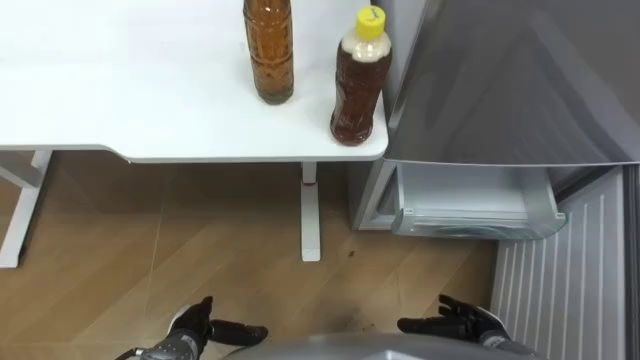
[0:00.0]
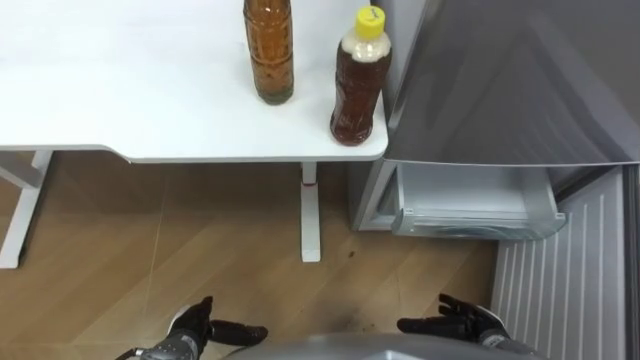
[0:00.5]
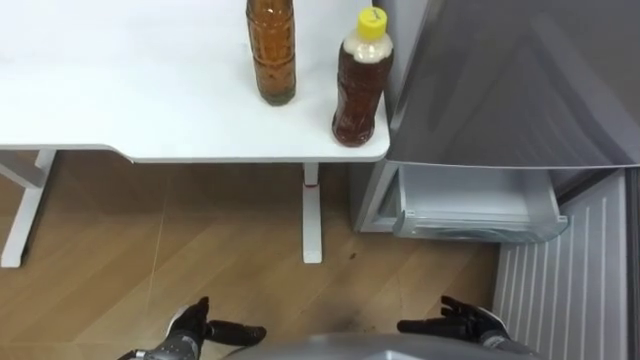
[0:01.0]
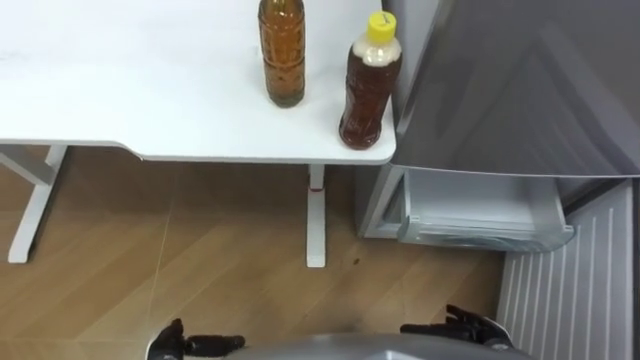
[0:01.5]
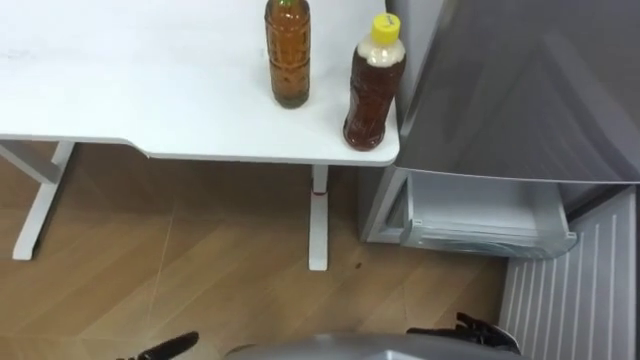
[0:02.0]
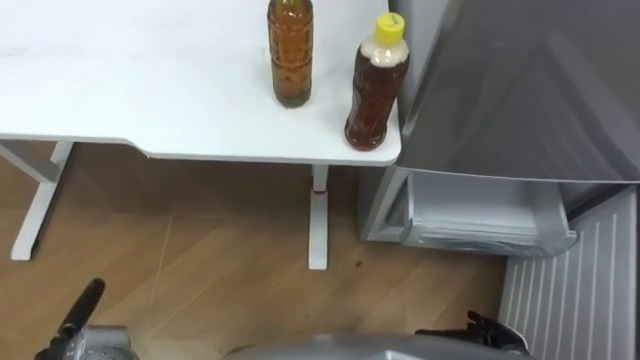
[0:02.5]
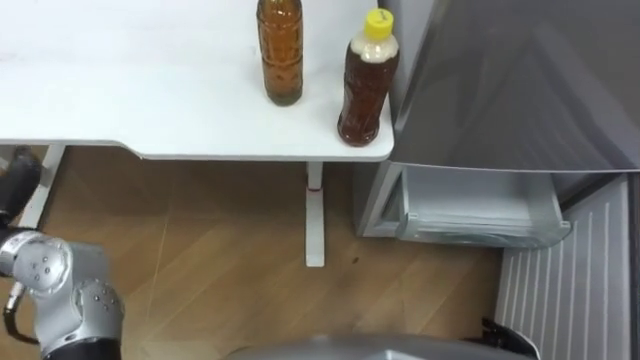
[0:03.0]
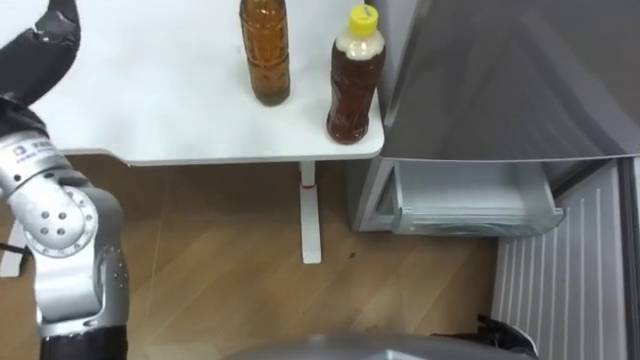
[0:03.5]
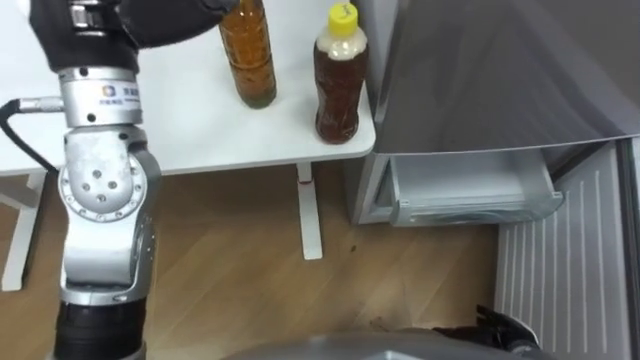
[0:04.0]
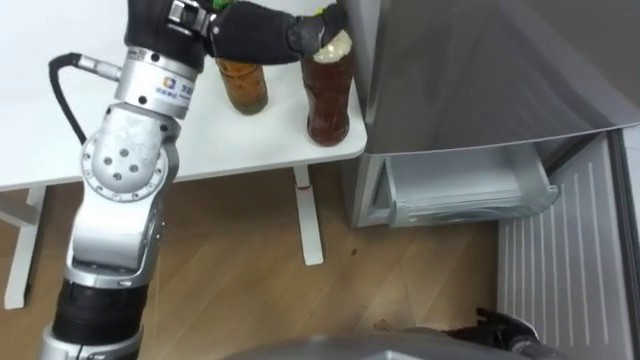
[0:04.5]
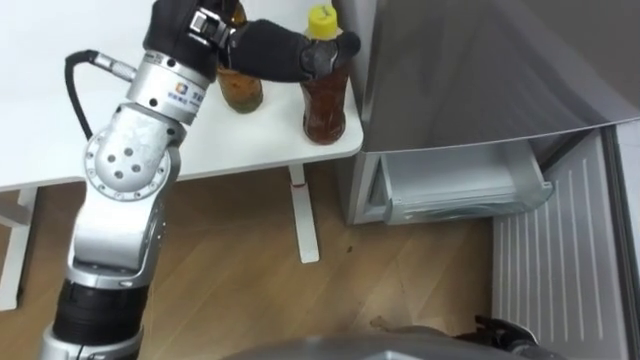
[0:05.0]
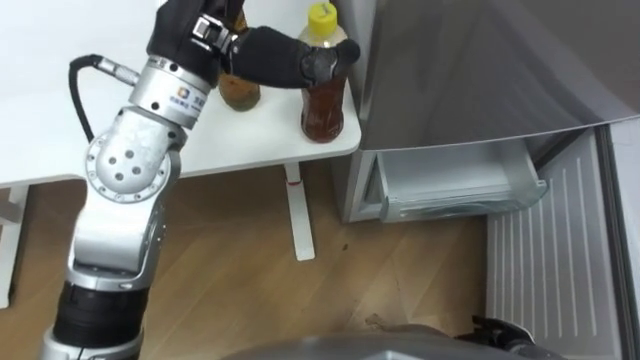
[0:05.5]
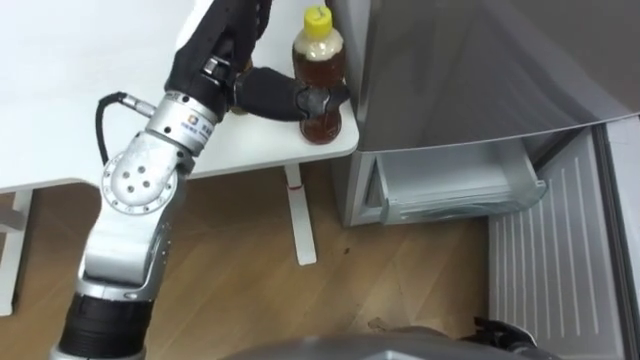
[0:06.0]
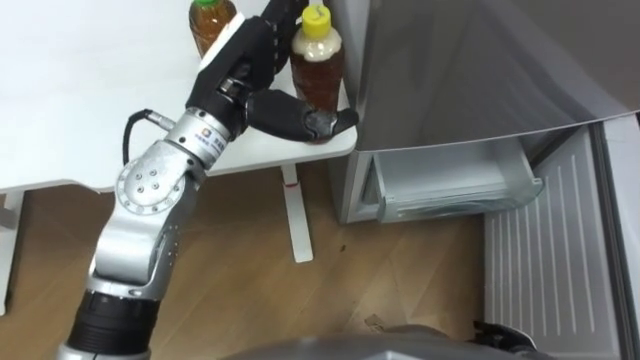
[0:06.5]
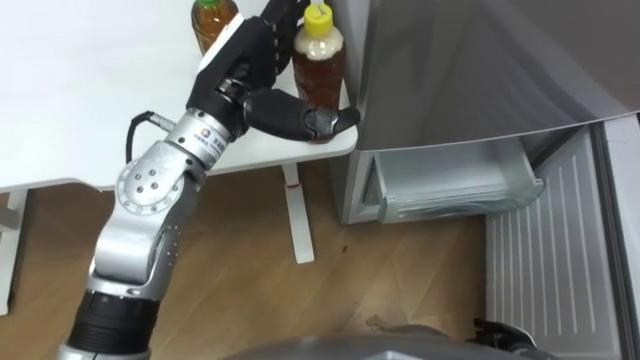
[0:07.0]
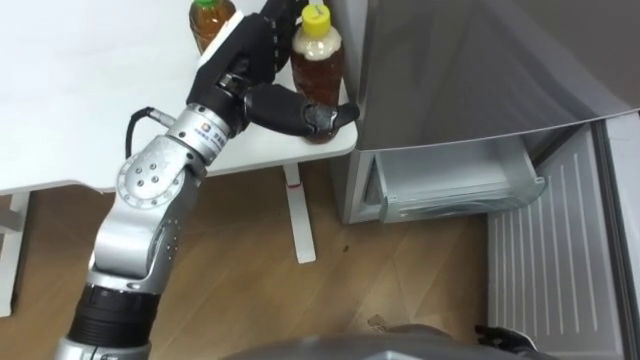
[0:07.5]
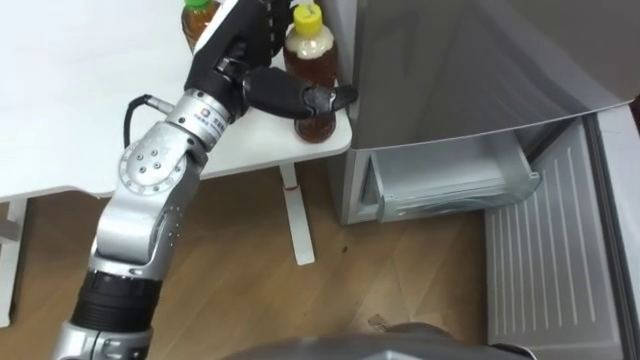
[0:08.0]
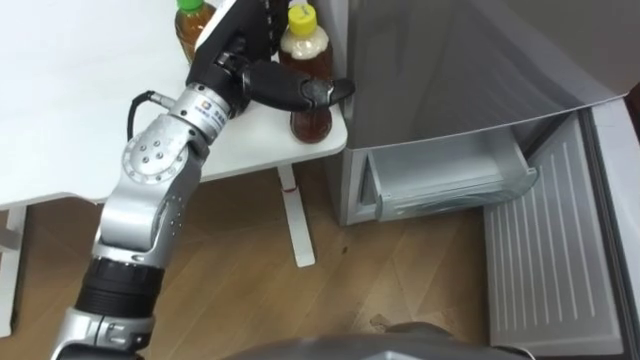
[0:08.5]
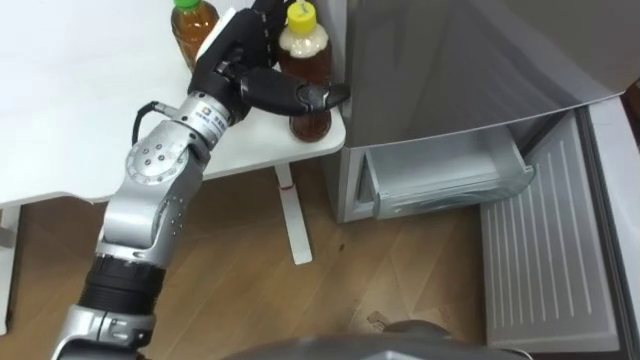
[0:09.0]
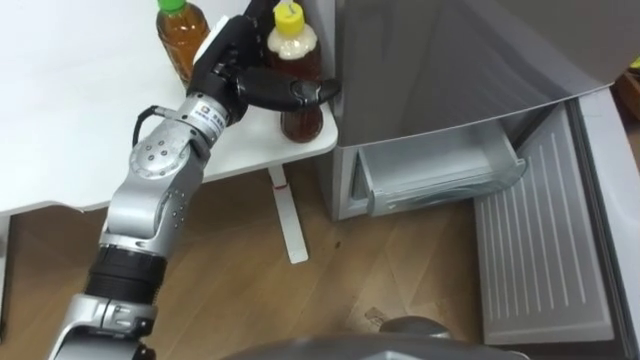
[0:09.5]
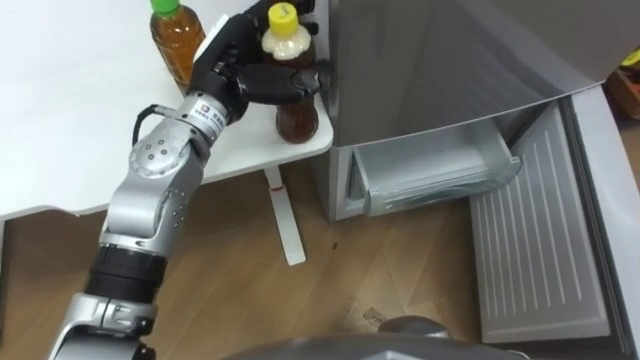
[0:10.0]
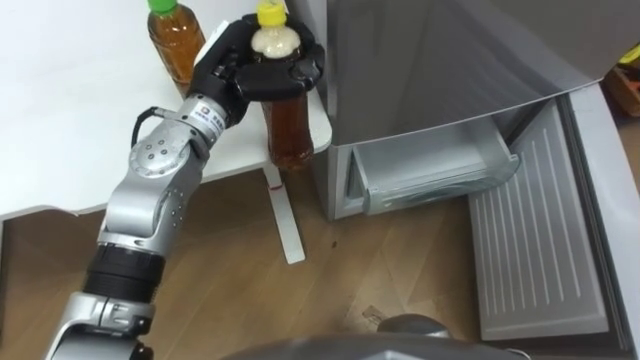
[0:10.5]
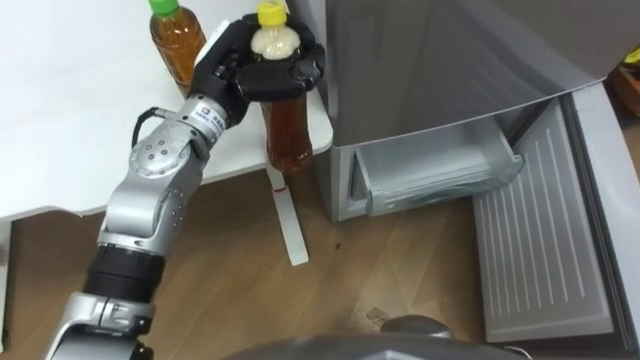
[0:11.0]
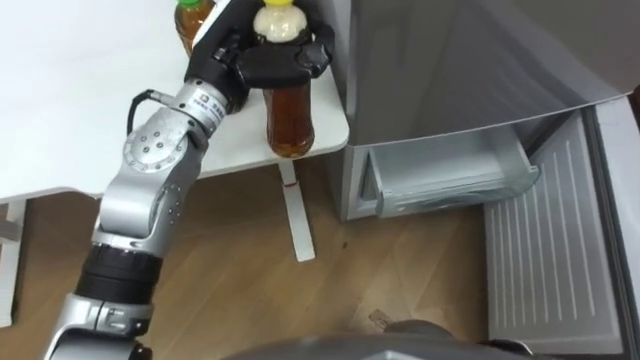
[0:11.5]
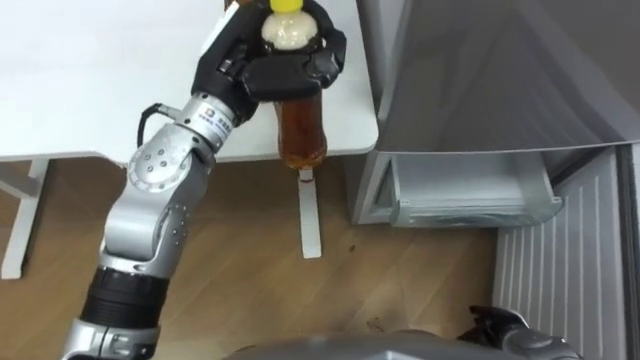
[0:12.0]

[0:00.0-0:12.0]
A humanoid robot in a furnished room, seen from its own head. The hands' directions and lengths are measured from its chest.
Task of the whole recording: Place the drink on the table on the bottom shelf of the refrigerator, then close the drawer and the refrigerator door.
0:08.0 to 0:10.0: The left hand changes place by about 5 cm.
0:10.0 to 0:12.0: The left hand closes.

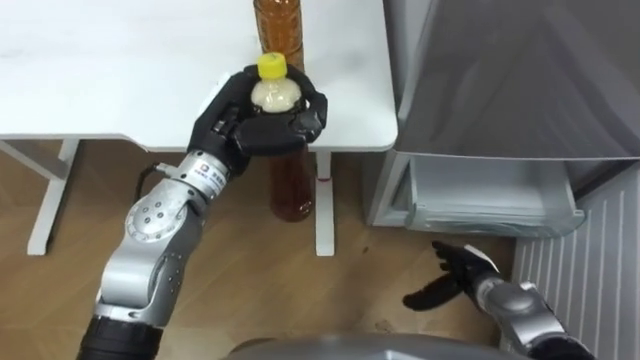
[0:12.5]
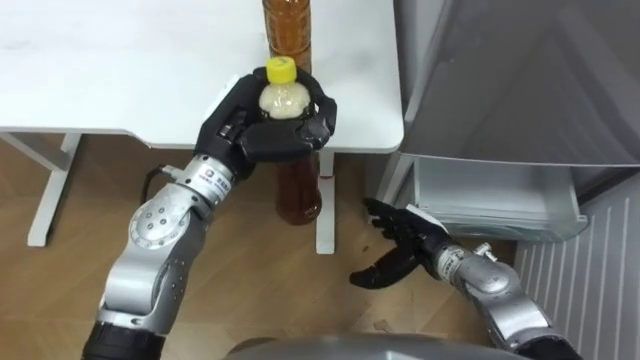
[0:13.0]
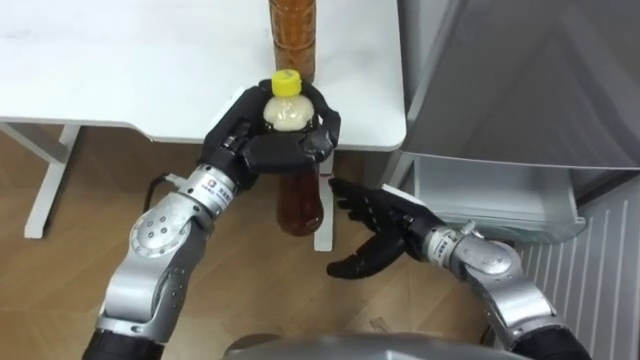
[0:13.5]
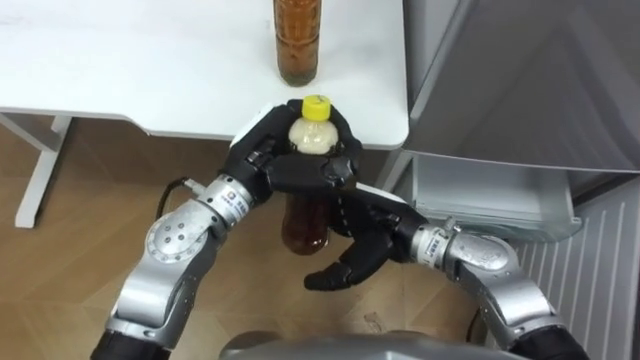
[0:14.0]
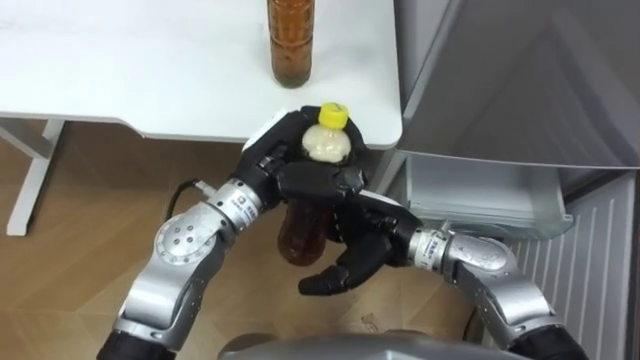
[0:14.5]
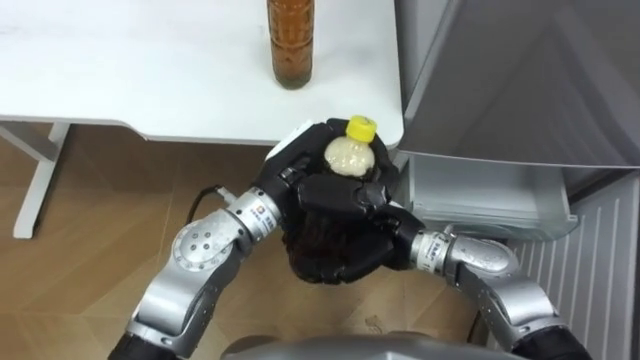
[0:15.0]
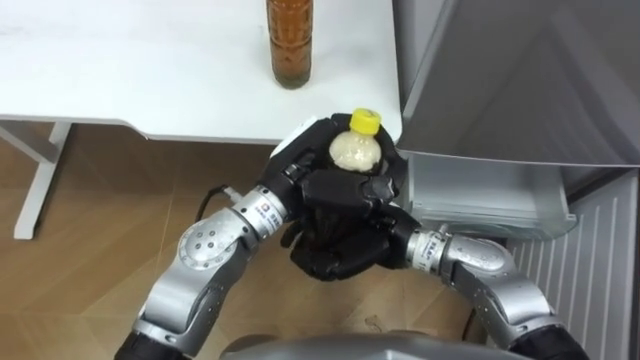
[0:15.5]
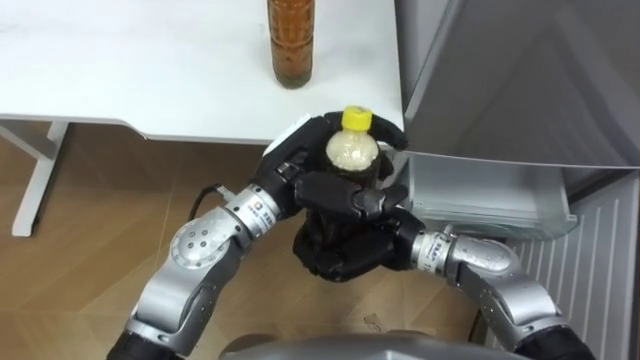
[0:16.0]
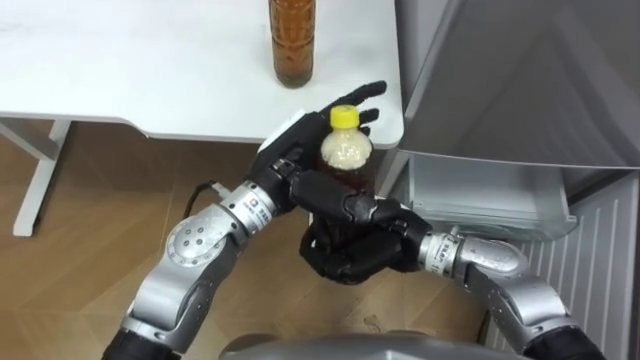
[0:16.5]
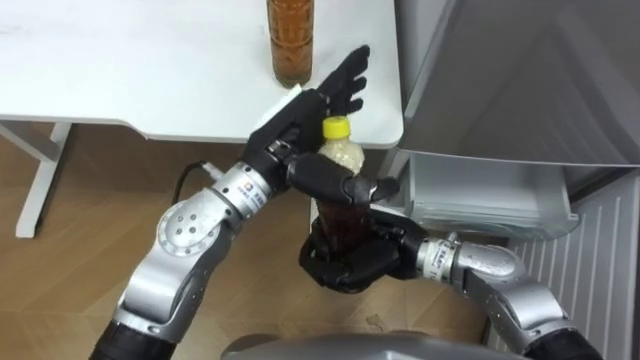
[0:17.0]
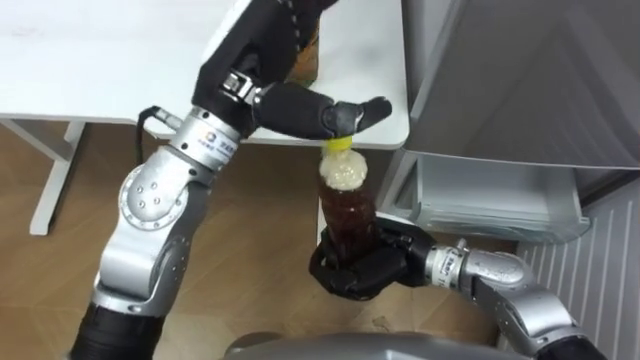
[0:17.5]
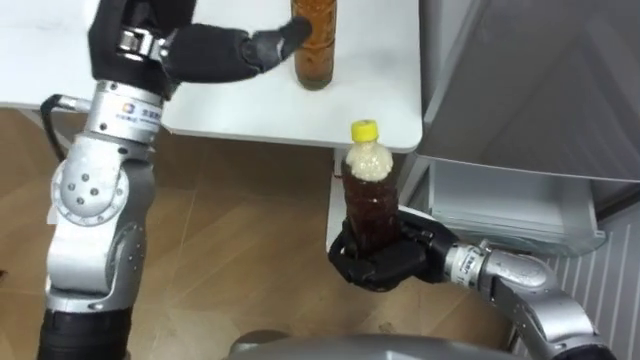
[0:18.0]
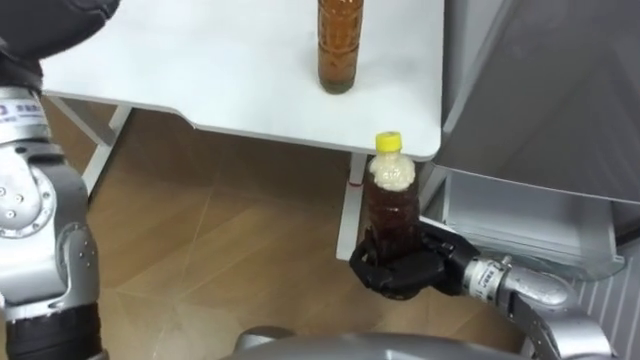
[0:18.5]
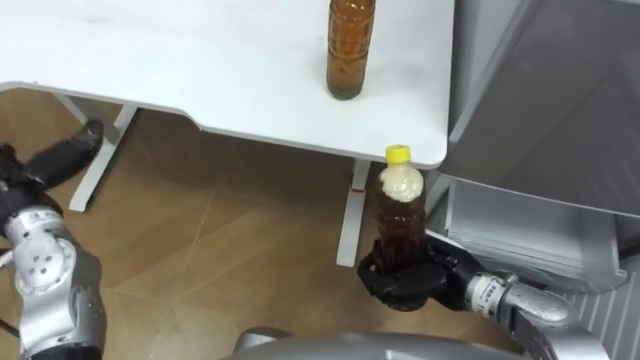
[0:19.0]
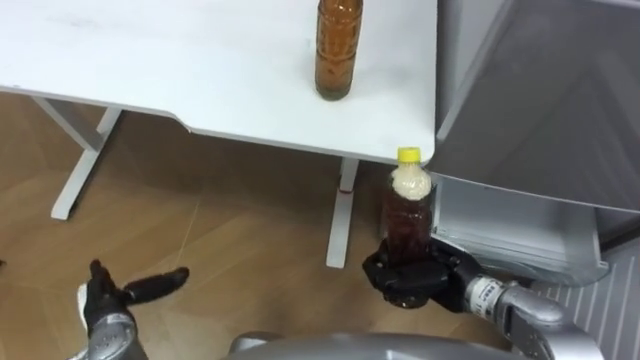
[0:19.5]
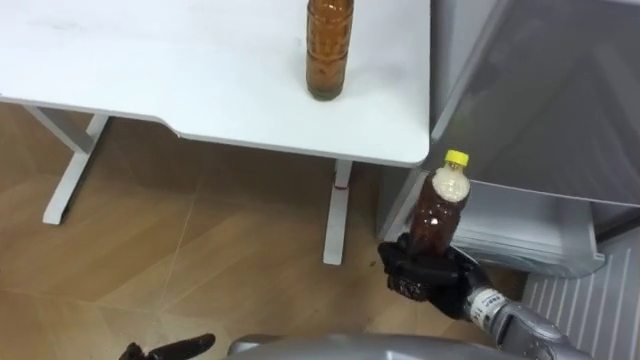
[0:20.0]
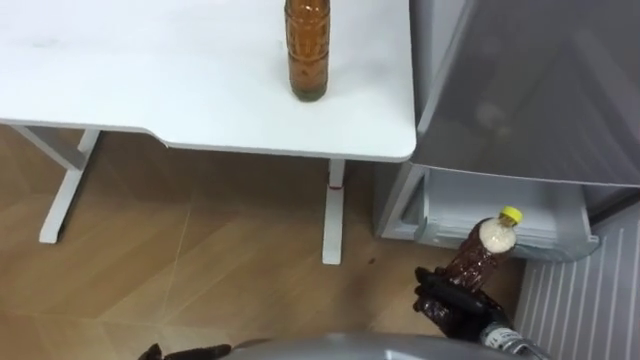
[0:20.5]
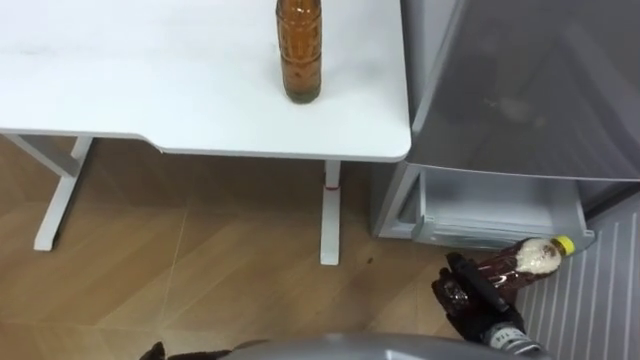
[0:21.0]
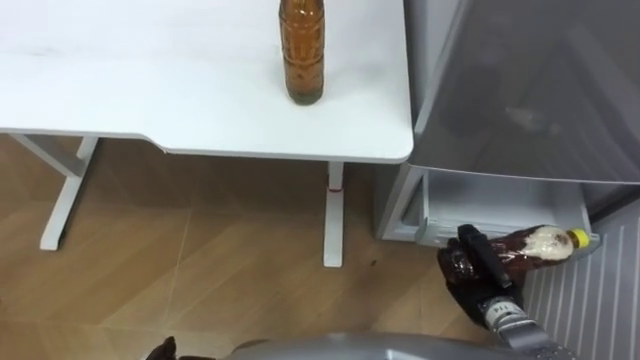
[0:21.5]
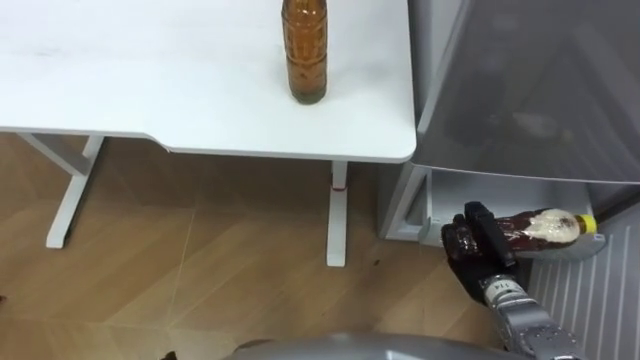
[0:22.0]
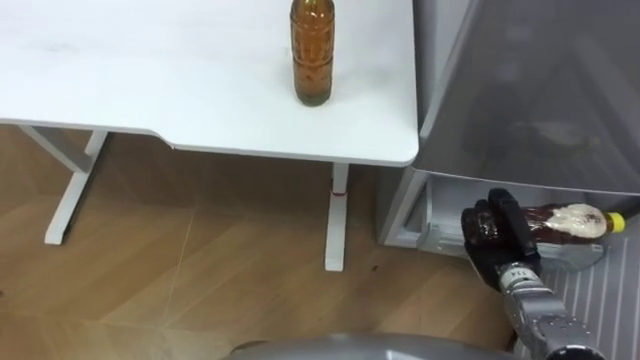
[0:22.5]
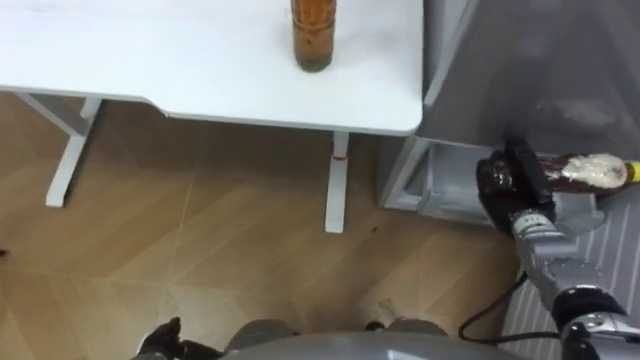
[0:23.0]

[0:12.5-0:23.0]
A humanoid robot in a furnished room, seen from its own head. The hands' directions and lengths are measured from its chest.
Task of the whole recording: Place the drink on the table on the bottom shelf of the refrigerator, then close the drawer and the refrigerator door.
0:12.5 to 0:14.5: The left hand shifts approximately 5 cm to the right; the right hand shifts approximately 20 cm to the left and upward.
0:14.5 to 0:16.5: The right hand closes. The left hand opens.
0:16.5 to 0:19.0: The right hand moves to the right and downward, some 10 cm.
0:19.0 to 0:21.0: The right hand is displaced downward, to the right and backward by some 15 cm.
0:21.0 to 0:23.0: The right hand travels forward and upward by about 15 cm.
